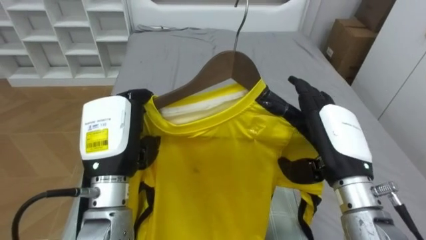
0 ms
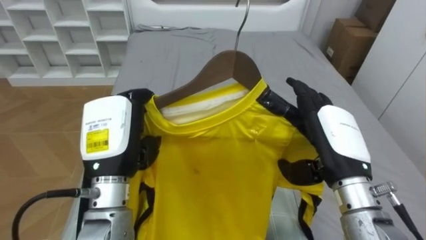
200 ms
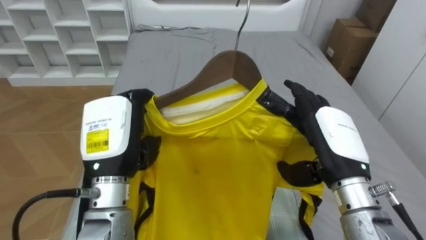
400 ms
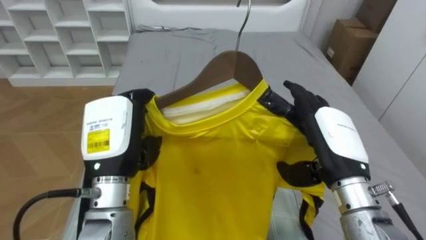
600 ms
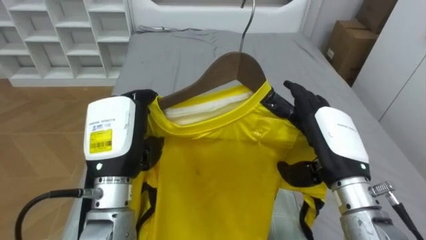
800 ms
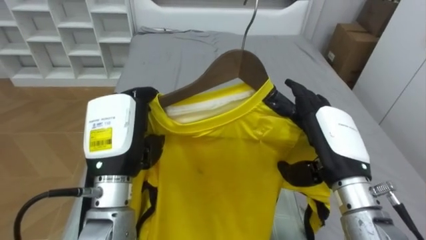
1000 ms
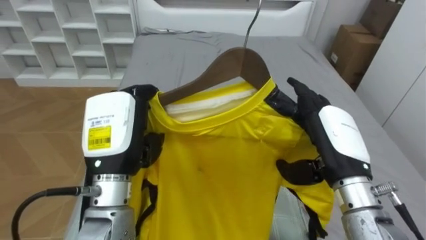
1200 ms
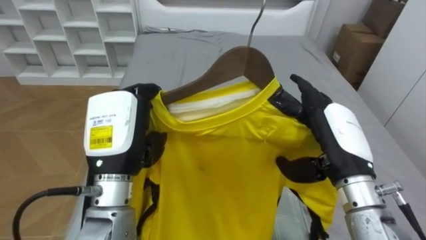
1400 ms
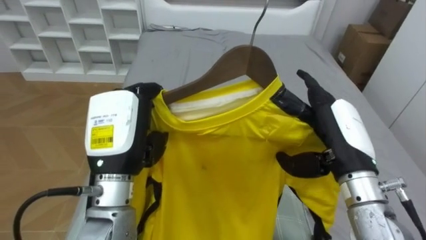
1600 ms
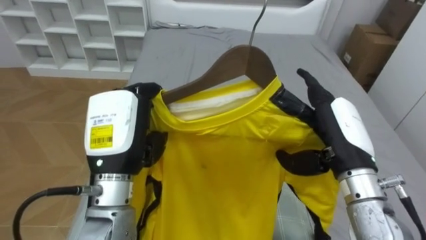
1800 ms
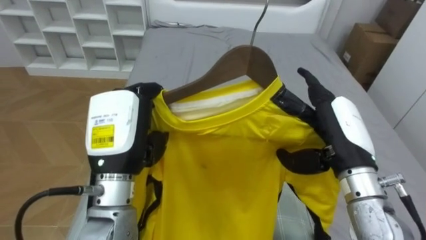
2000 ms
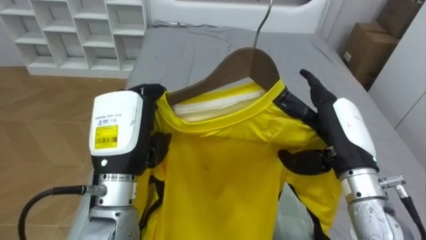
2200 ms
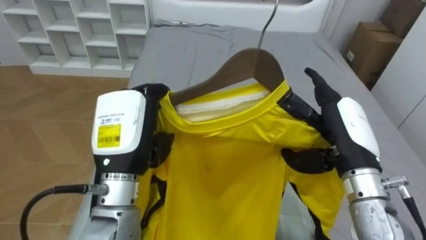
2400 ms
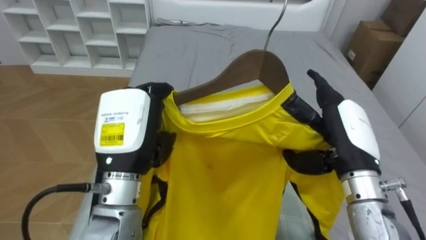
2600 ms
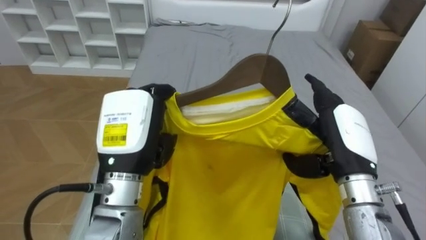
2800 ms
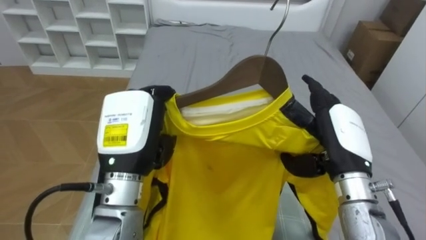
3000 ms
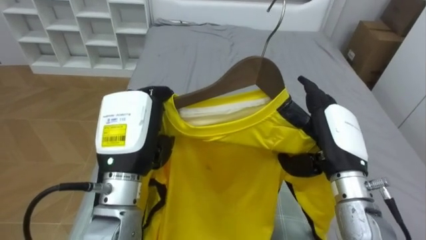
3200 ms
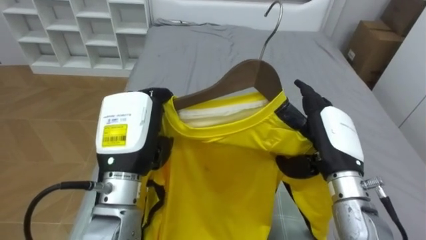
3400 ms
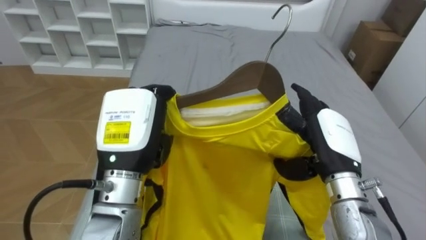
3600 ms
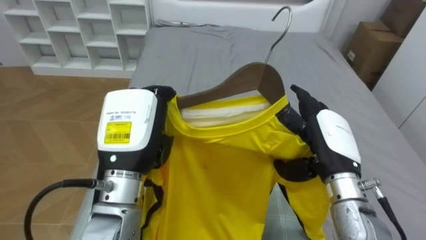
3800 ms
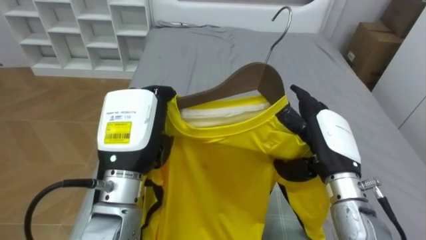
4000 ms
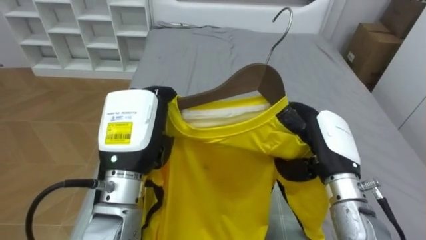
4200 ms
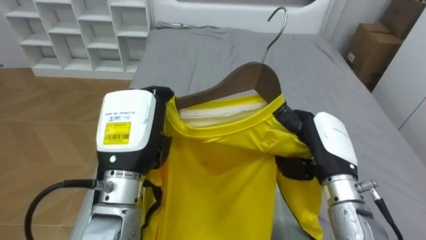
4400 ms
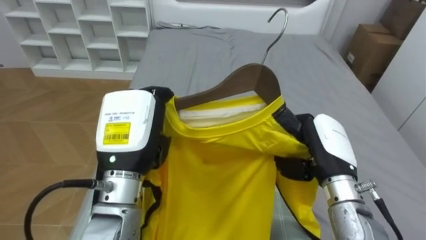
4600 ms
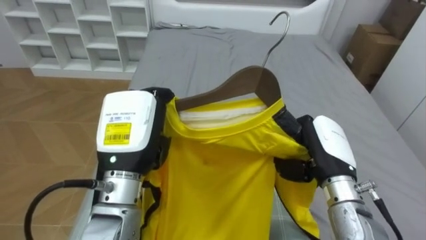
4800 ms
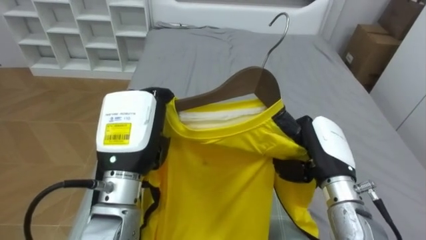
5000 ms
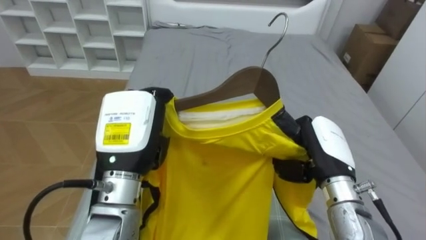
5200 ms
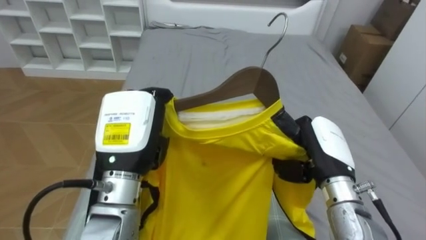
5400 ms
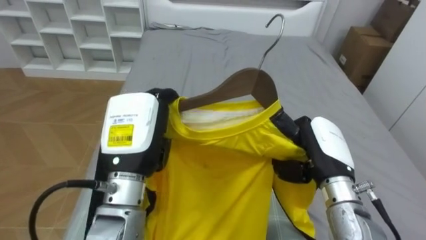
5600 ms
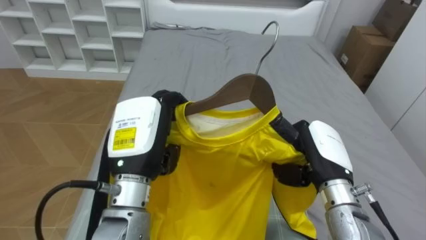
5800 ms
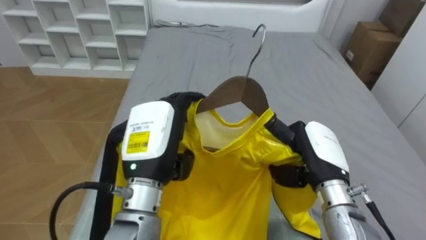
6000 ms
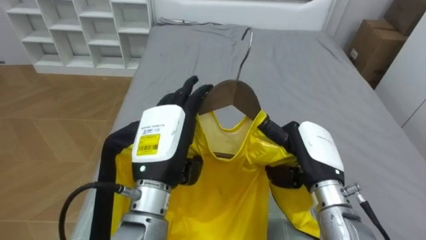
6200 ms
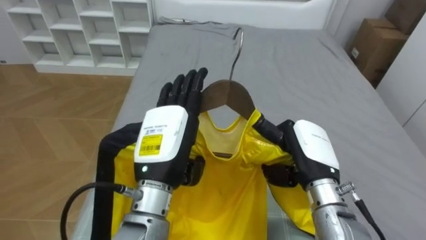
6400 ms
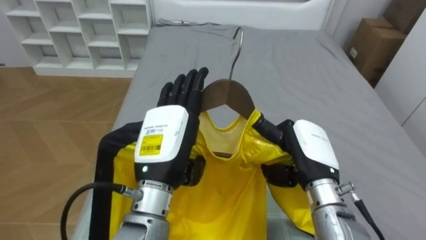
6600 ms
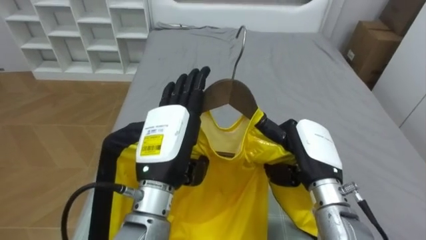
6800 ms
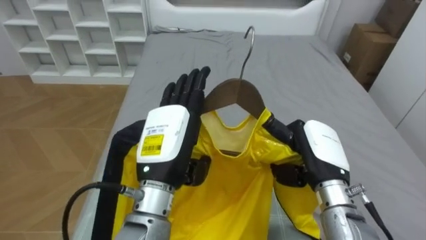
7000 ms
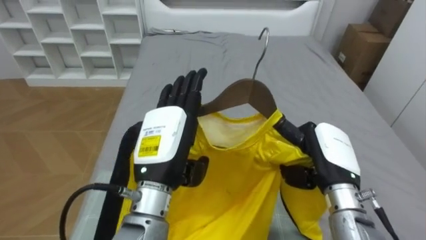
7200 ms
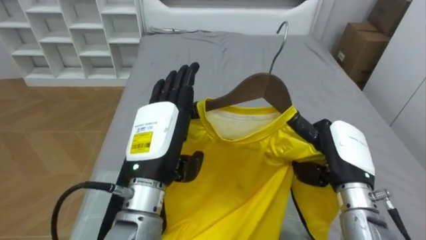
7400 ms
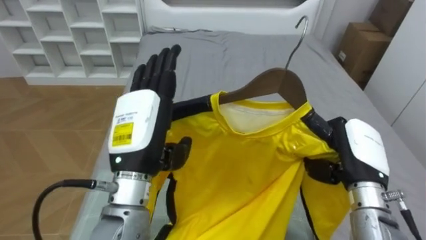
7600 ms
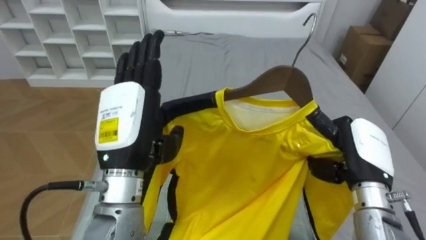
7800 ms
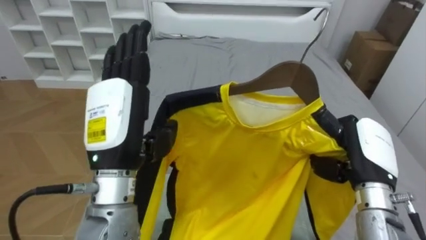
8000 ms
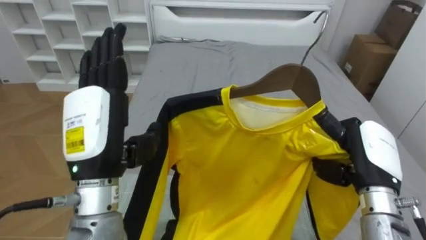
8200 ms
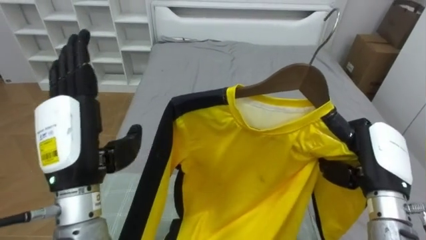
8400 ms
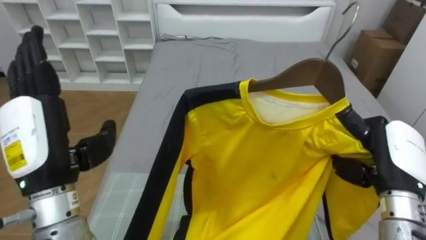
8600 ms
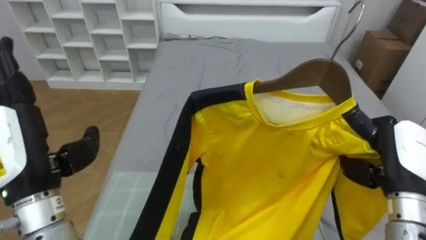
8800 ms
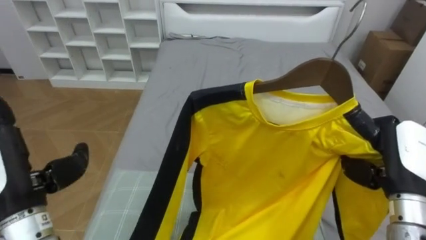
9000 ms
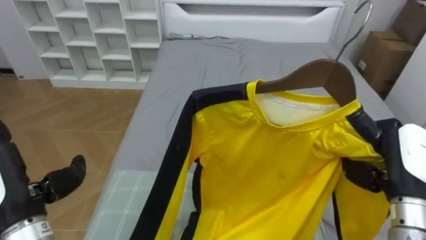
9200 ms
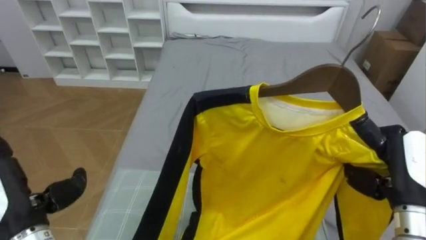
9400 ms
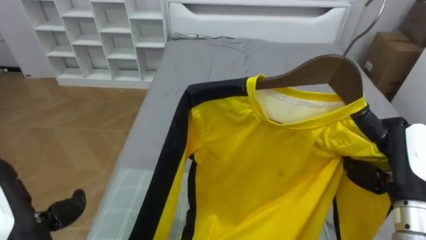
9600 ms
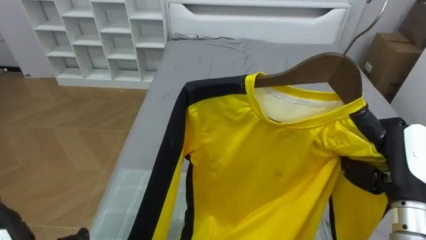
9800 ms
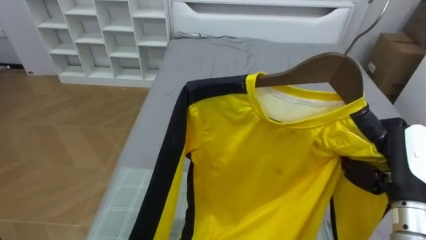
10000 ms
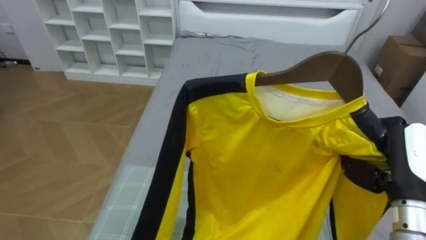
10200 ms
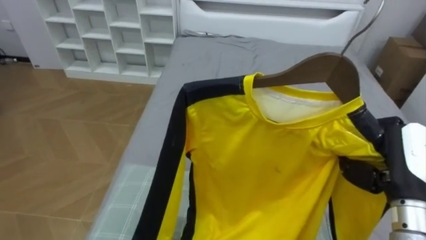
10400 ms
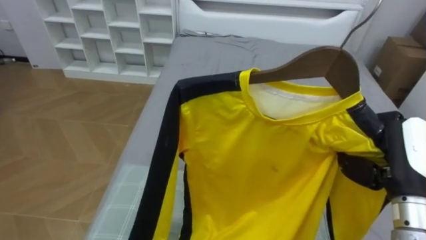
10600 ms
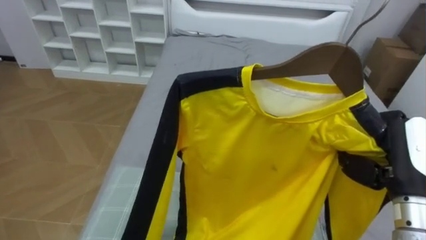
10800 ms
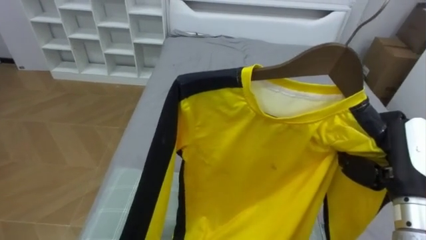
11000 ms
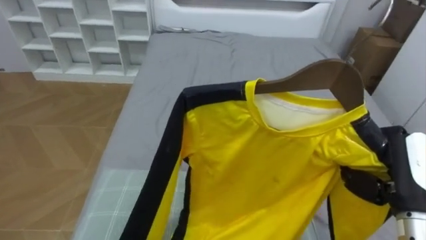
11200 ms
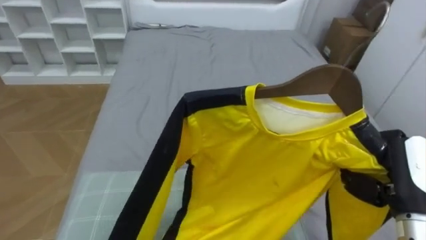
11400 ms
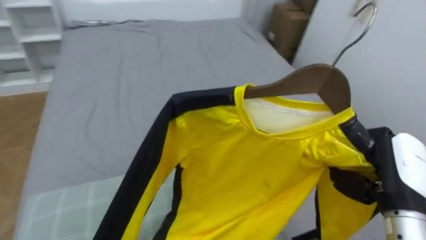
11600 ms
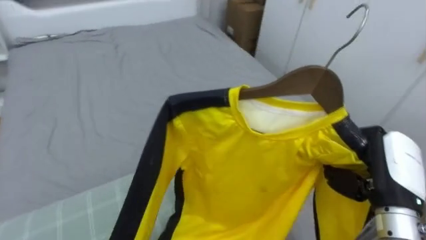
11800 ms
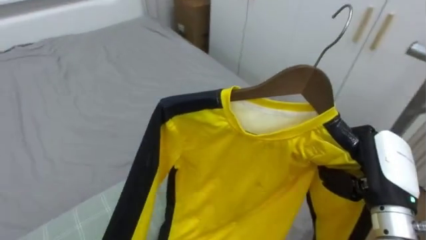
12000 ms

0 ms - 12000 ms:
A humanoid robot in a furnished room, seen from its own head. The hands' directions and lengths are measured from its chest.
Task of the whole recording: Pick up the yellow shirt on the bed and hang it on the clothes rack on the right.
3000 ms - 4400 ms: The right hand closes.
4400 ms - 6000 ms: The right hand closes its fingers. Meanwhile the left hand opens up.
6000 ms - 7600 ms: The right hand goes roughly 5 cm to the right. The left hand opens up.
7600 ms - 9000 ms: The right hand moves to the right, about 5 cm. The left hand moves to the left, about 15 cm.
10400 ms - 12000 ms: The robot rotates roughly 40 degrees to its right.

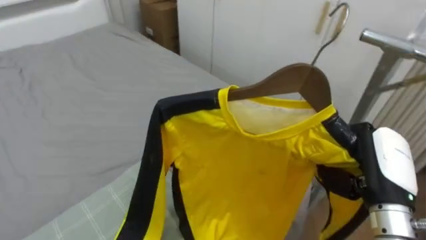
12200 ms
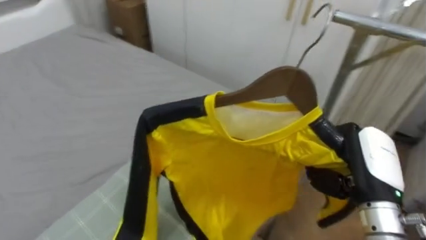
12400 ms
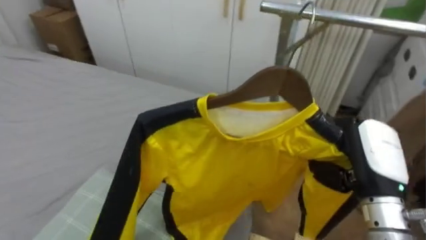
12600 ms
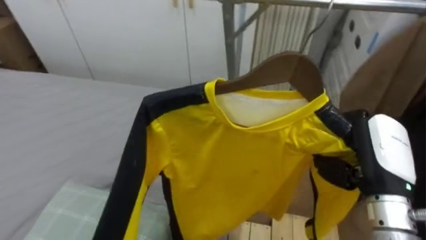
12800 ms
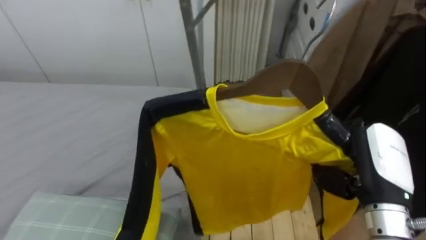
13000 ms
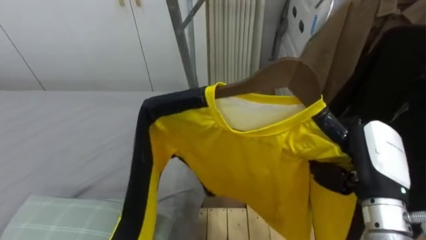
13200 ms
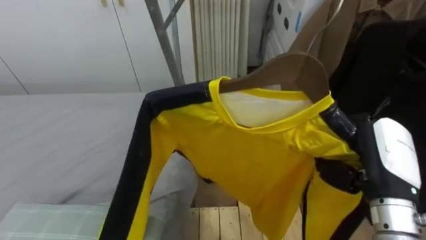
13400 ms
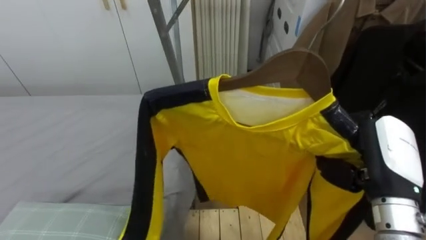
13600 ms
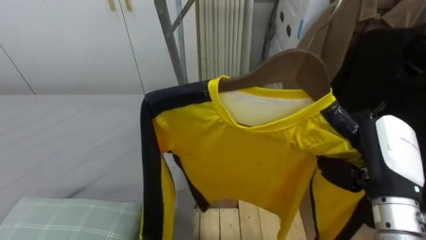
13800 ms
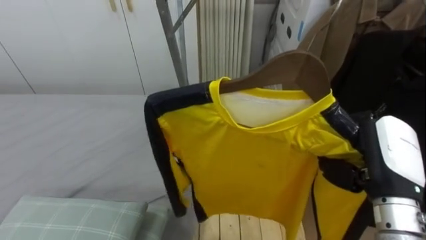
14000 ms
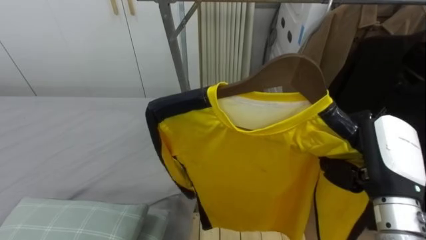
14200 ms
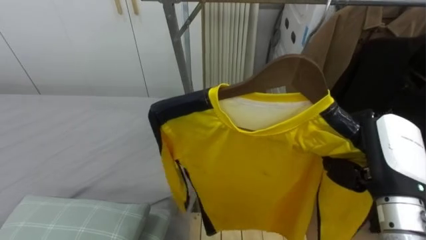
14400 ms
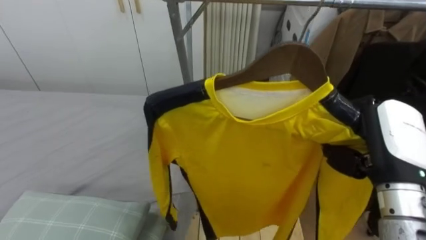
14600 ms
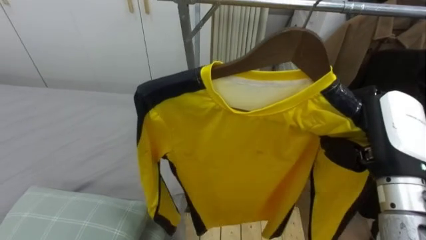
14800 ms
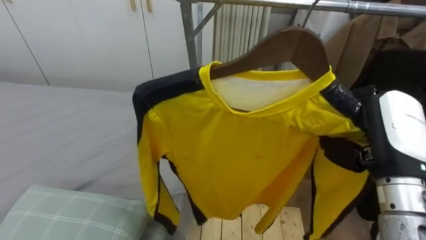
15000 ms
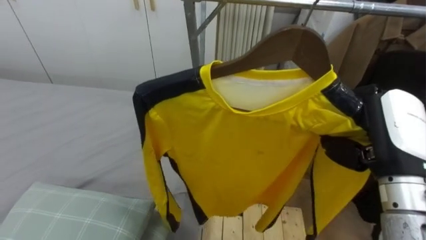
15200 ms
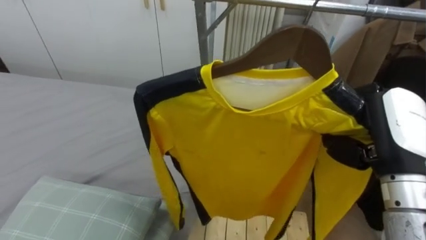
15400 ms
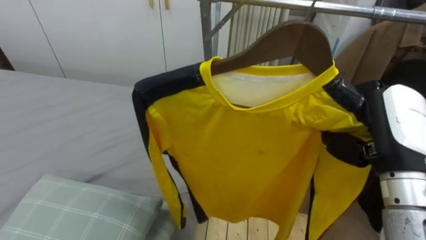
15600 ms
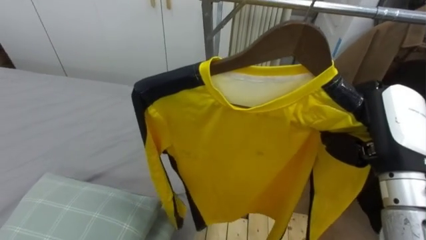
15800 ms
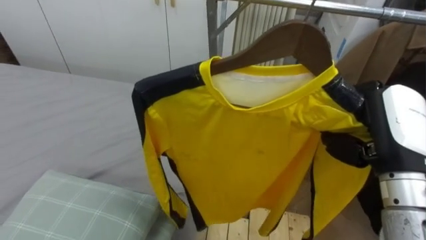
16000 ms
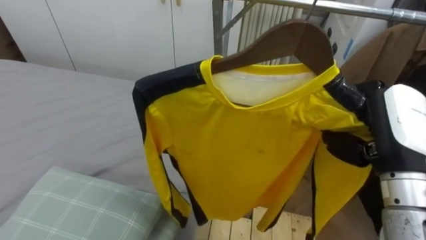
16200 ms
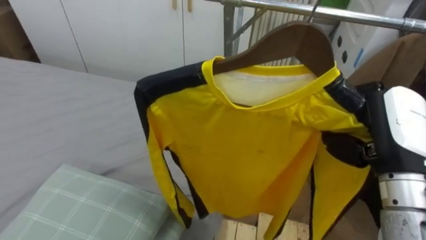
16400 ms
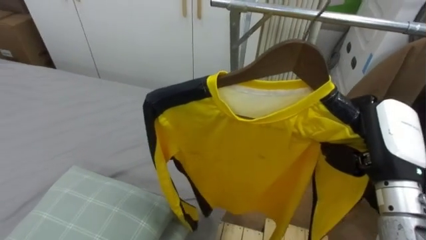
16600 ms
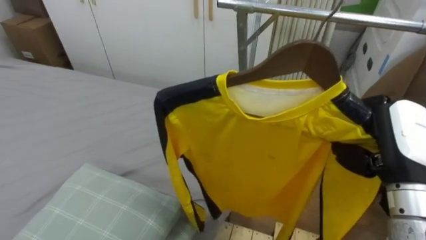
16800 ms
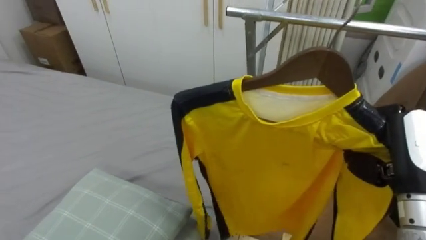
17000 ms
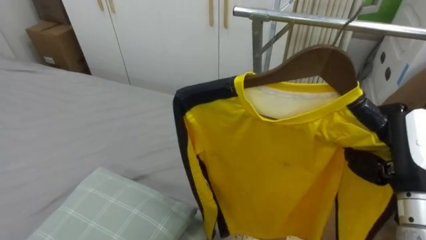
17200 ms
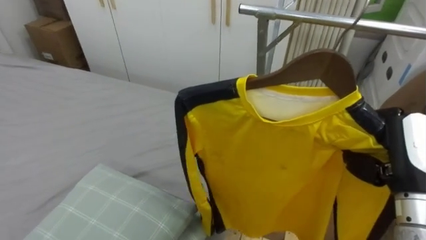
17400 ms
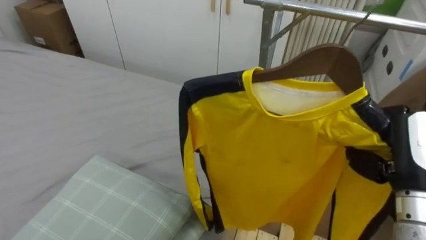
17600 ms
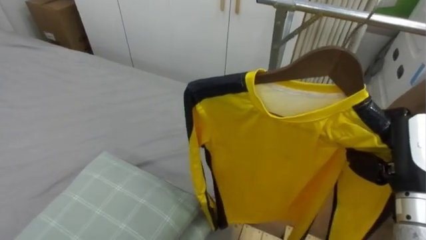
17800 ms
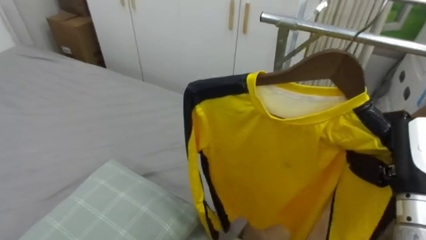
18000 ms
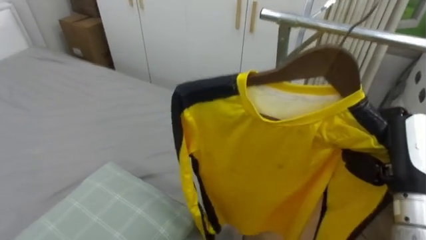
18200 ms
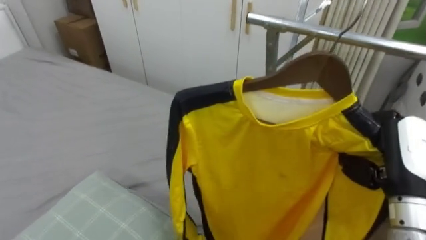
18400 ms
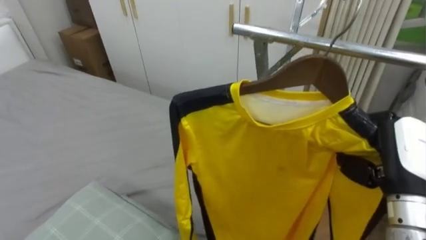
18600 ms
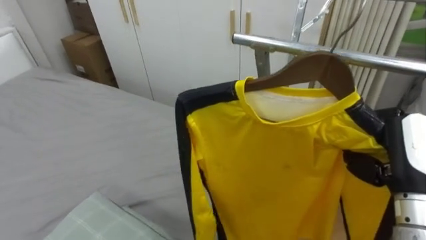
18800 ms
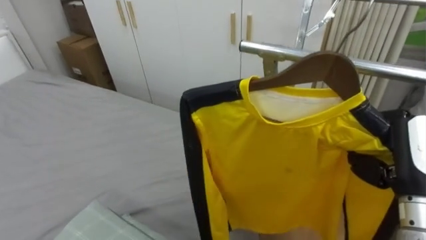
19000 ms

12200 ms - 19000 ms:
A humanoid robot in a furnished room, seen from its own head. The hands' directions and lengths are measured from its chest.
Task of the whole recording: Pick up the yellow shirt on the bed and hang it on the clothes rack on the right.
12200 ms - 13600 ms: The robot turns to its right by about 45 degrees.
16200 ms - 17600 ms: The right hand moves some 5 cm.
